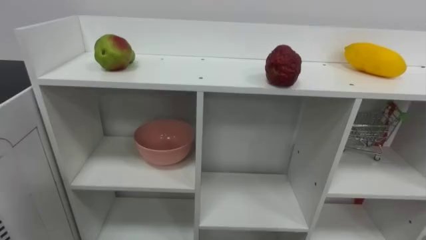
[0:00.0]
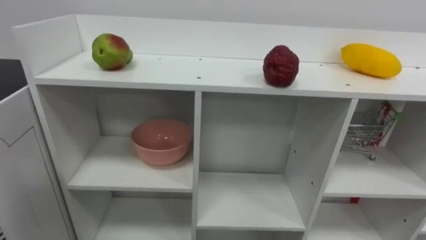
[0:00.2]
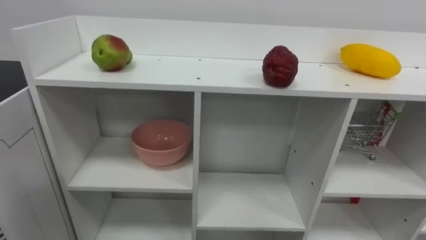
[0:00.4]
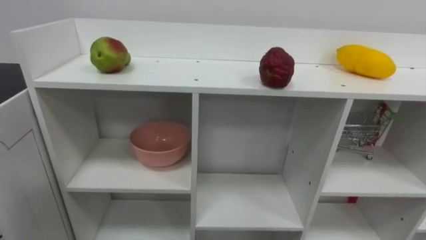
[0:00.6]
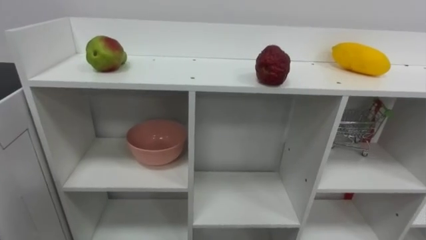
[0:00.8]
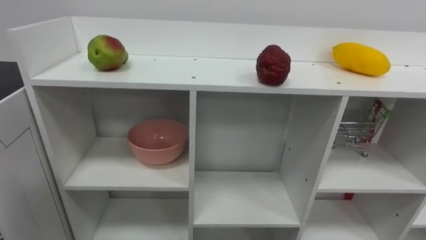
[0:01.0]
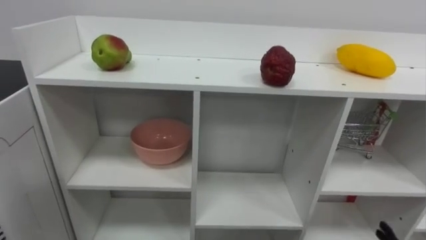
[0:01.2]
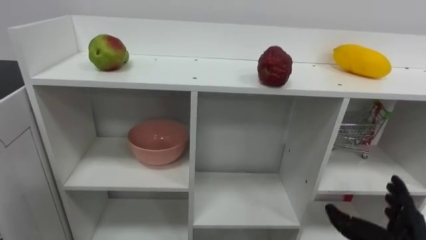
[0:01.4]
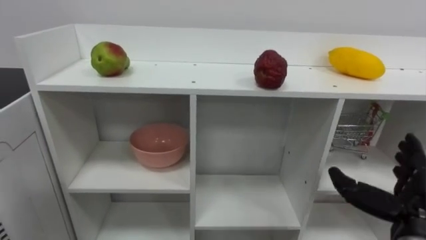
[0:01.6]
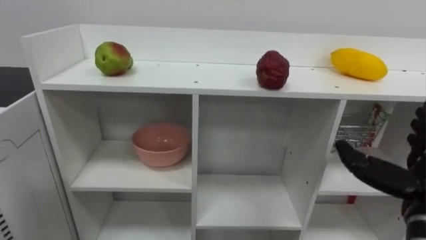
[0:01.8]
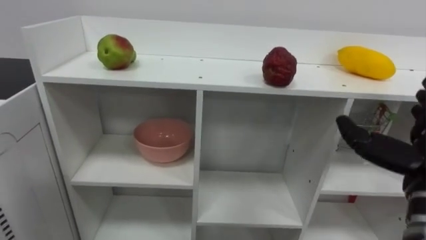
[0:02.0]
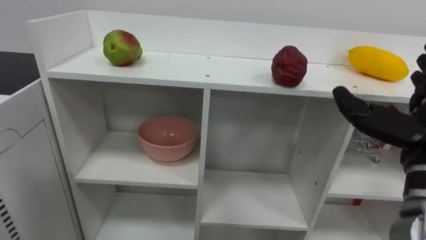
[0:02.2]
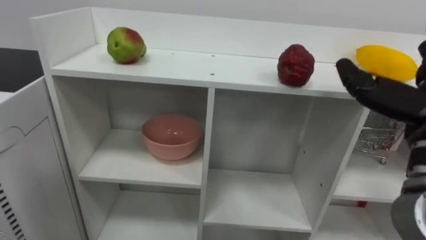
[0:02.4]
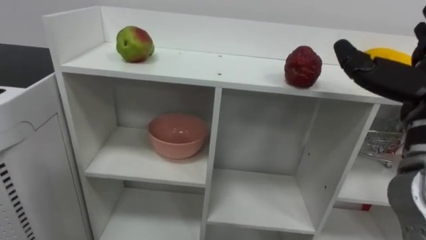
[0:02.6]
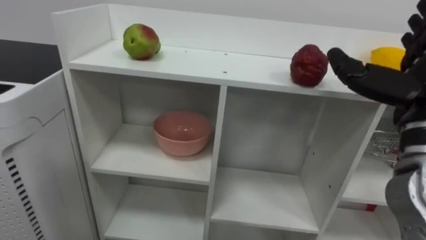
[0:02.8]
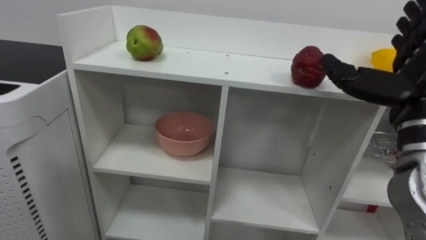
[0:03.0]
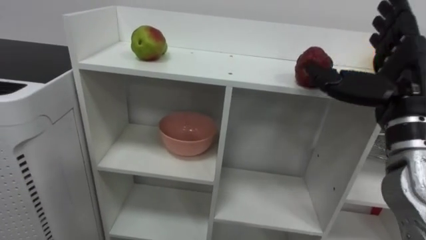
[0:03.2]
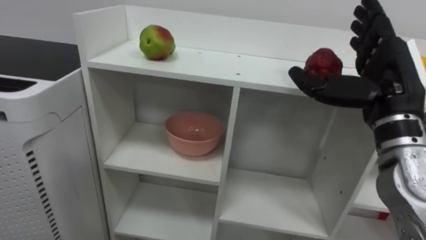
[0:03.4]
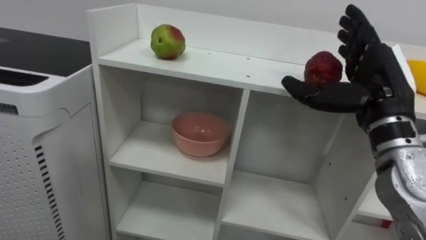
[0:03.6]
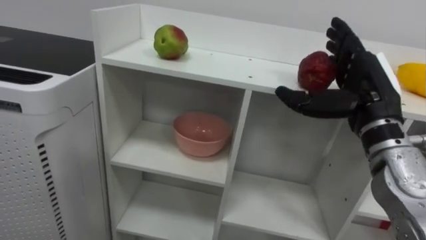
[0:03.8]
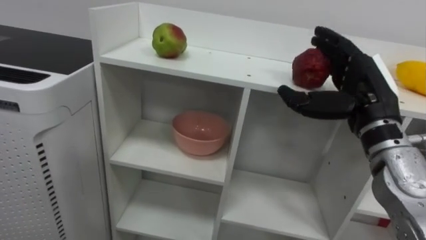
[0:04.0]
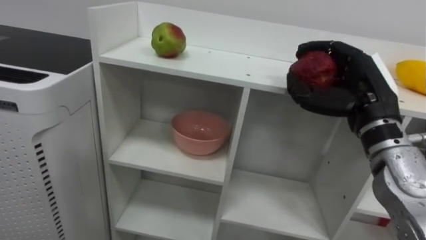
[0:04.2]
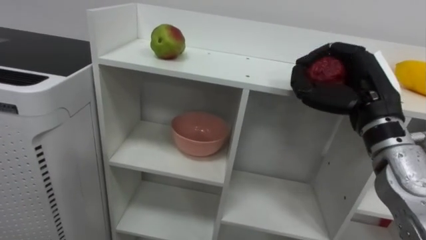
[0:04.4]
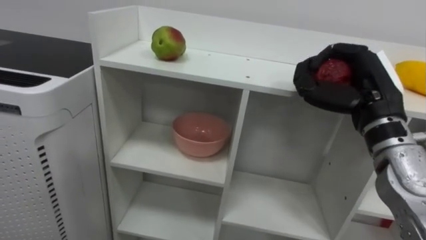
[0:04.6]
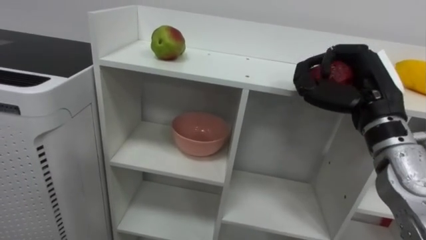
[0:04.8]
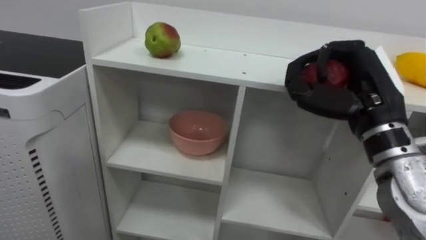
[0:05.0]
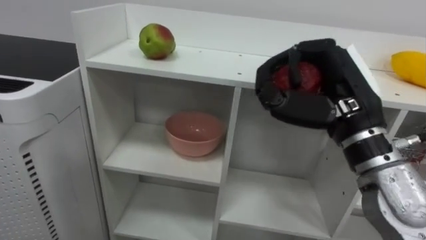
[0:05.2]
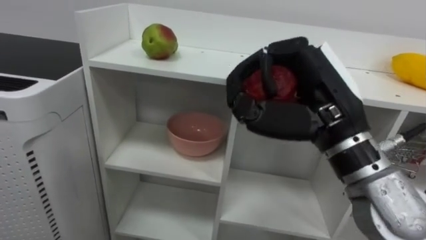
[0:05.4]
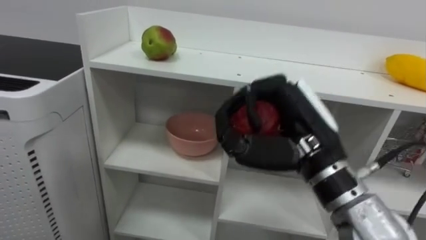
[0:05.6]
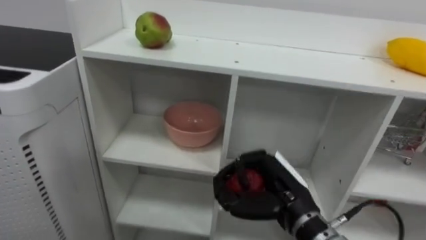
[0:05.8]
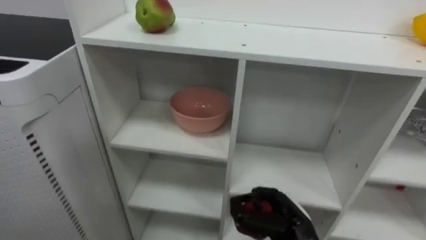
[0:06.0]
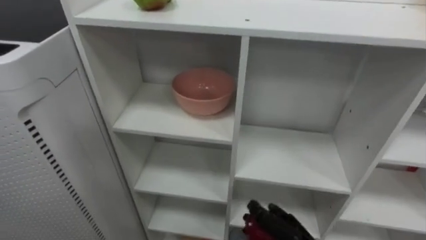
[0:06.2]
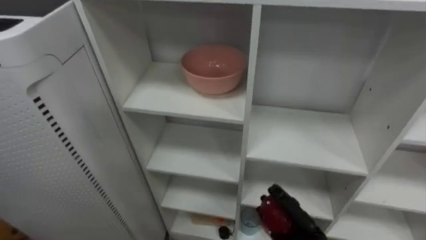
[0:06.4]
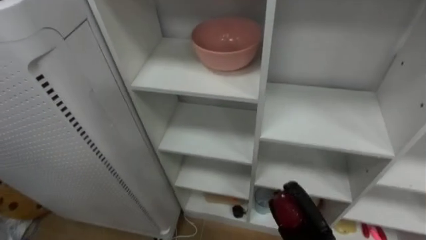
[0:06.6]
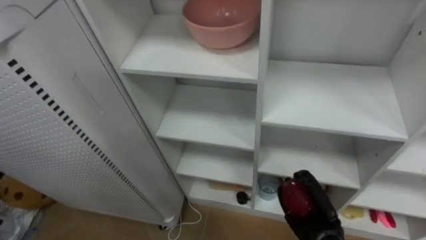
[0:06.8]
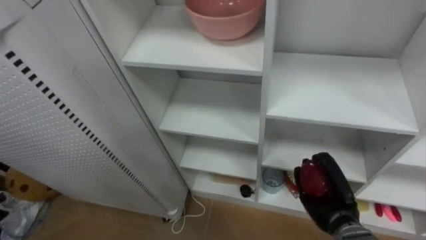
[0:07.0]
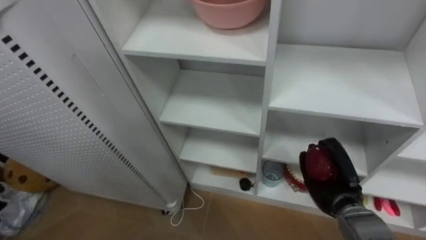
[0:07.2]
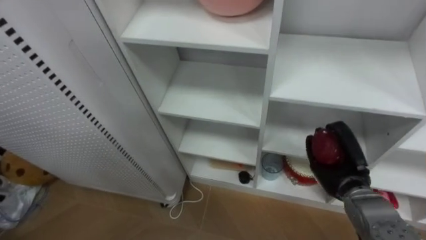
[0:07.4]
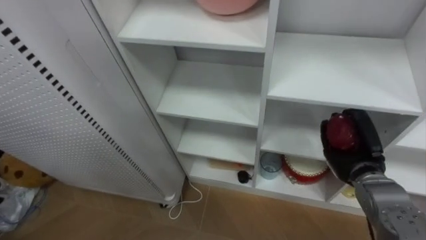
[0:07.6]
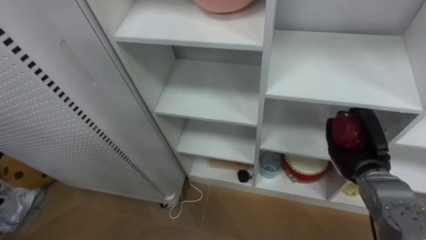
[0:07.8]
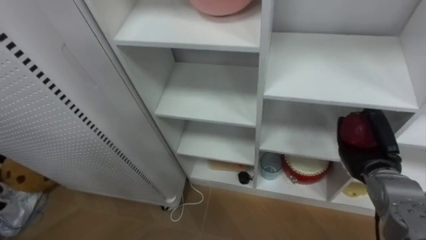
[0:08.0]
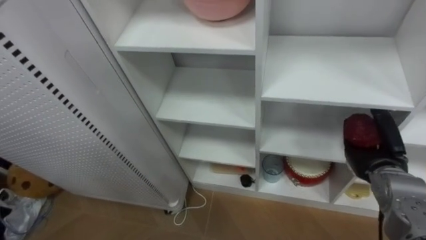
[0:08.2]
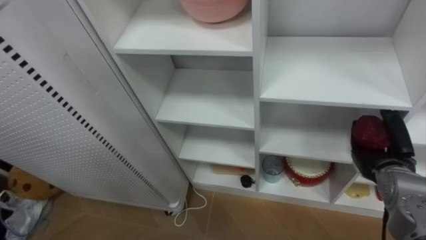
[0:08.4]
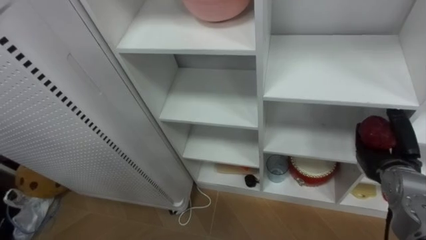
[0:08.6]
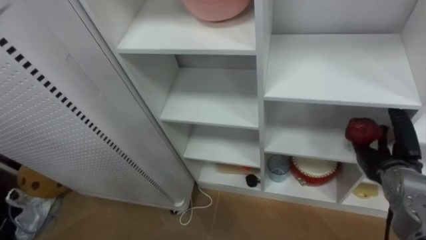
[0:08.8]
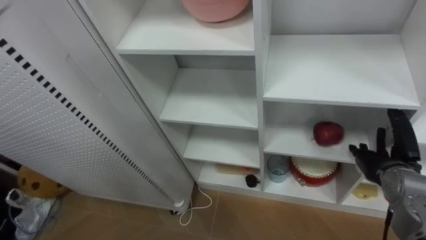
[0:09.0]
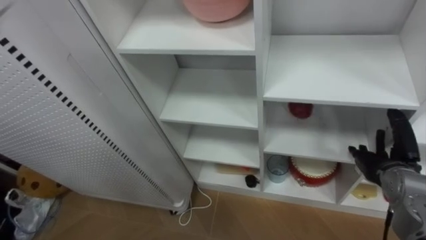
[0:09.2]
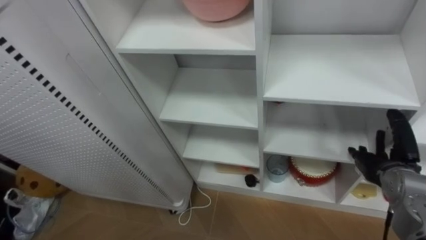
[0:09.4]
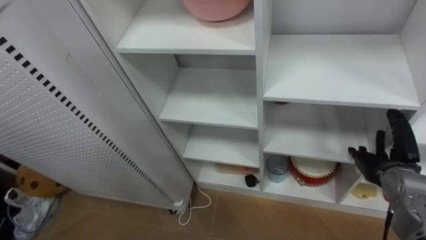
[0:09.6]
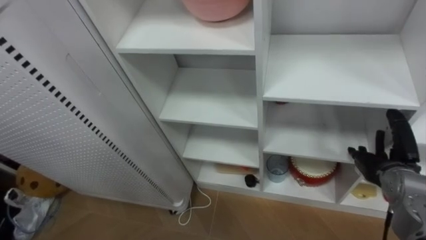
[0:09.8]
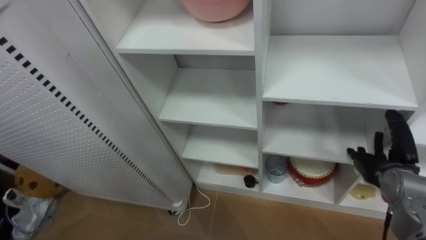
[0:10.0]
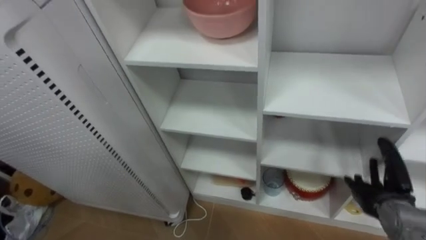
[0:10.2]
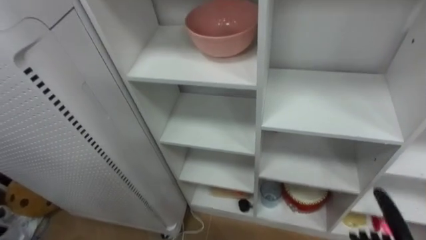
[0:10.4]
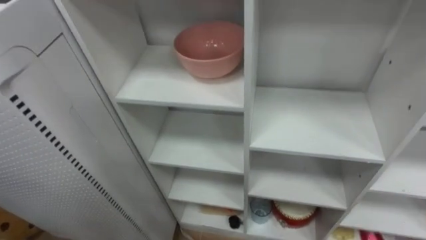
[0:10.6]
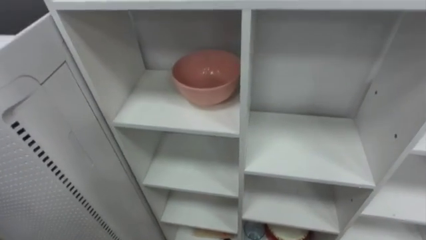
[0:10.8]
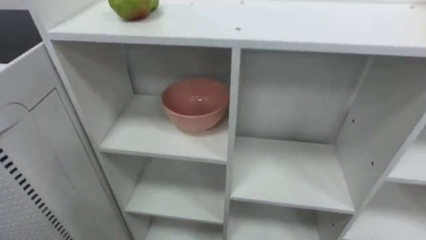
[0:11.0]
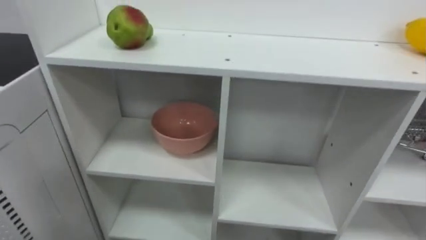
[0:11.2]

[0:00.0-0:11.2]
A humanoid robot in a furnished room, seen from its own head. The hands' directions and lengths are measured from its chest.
Task of the whole recording: Put the apple in the cell in the second column from the left and the second row from the top.
0:03.2 to 0:04.8: The right hand closes its fingers.
0:06.4 to 0:08.0: The right hand moves to the right, upward and forward, approximately 20 cm.
0:08.0 to 0:09.6: The right hand opens its fingers.

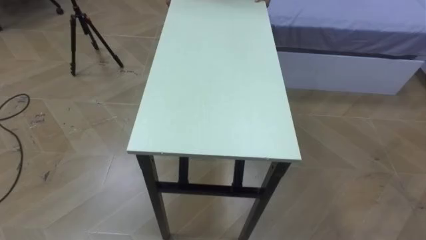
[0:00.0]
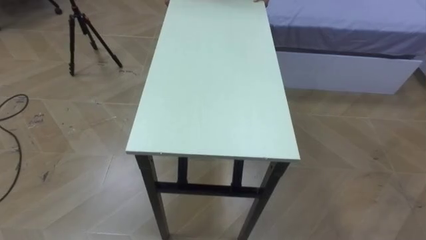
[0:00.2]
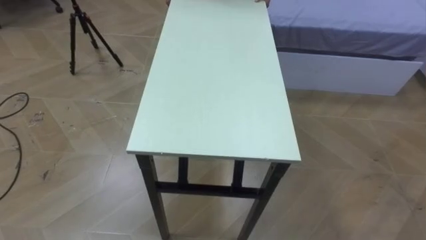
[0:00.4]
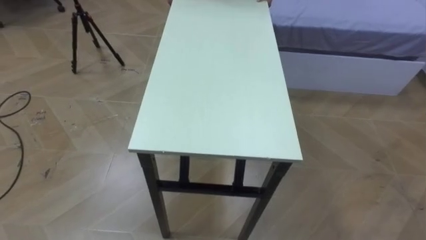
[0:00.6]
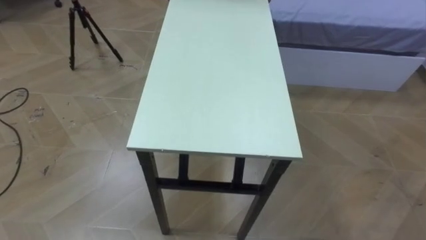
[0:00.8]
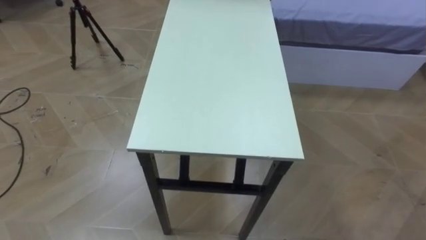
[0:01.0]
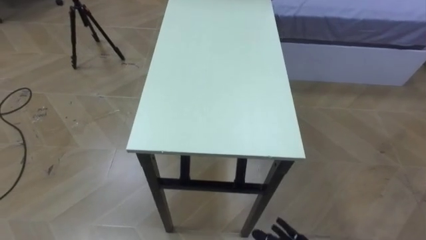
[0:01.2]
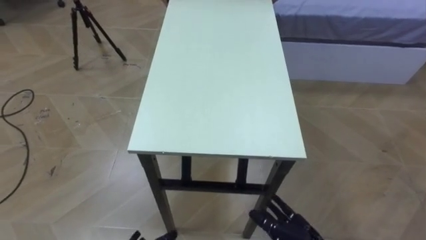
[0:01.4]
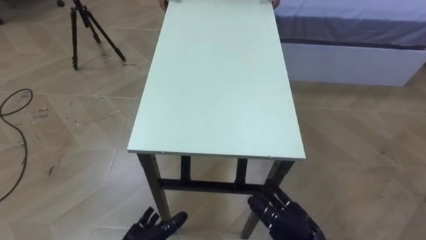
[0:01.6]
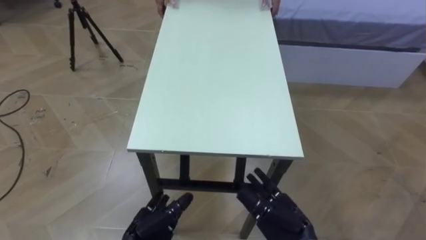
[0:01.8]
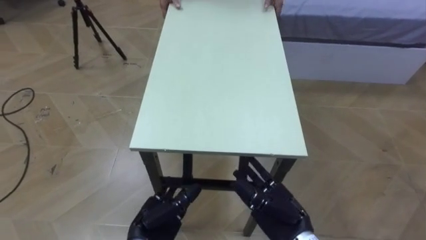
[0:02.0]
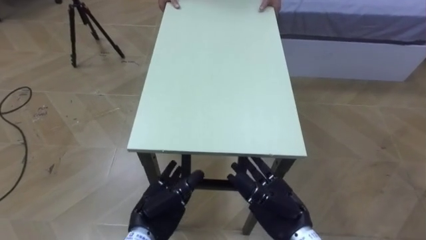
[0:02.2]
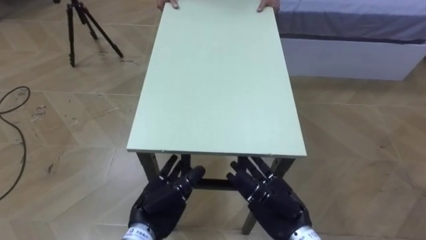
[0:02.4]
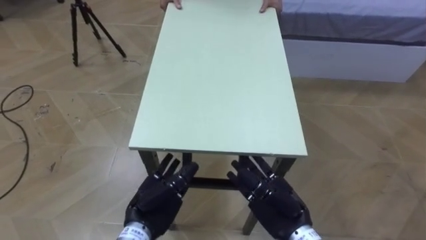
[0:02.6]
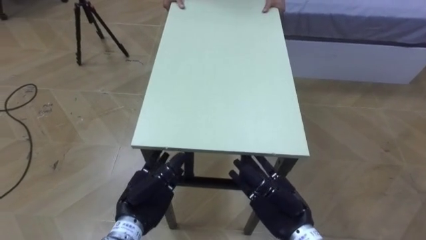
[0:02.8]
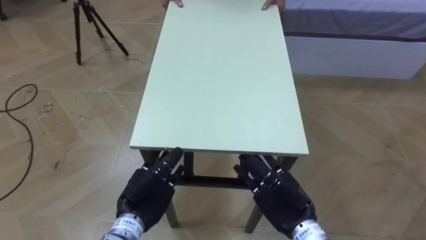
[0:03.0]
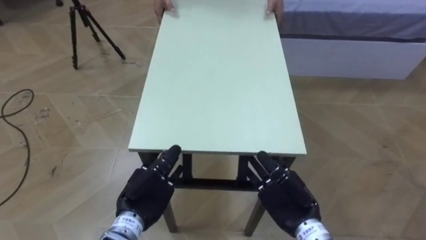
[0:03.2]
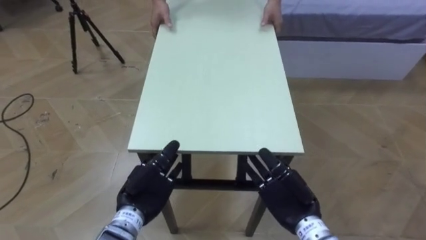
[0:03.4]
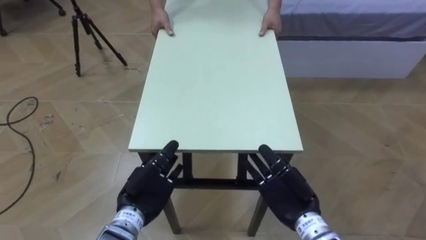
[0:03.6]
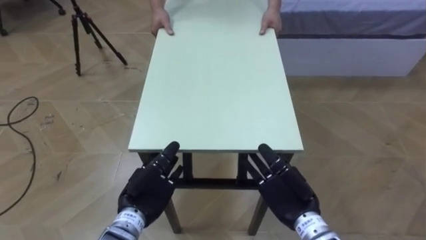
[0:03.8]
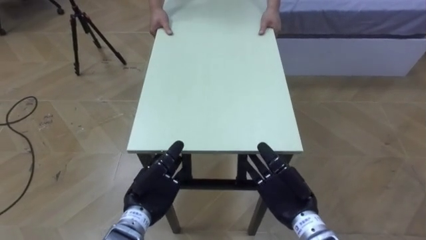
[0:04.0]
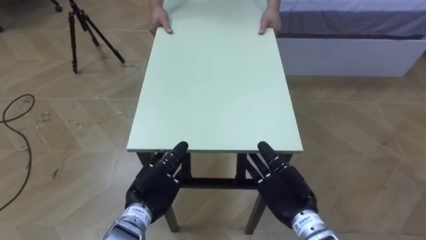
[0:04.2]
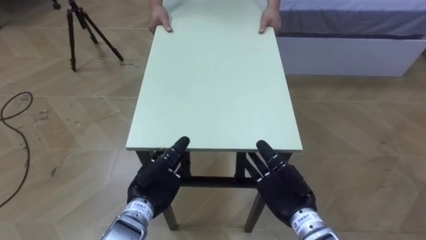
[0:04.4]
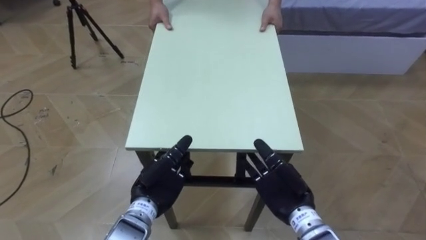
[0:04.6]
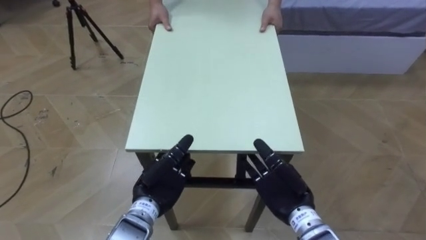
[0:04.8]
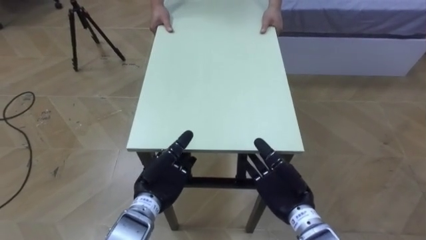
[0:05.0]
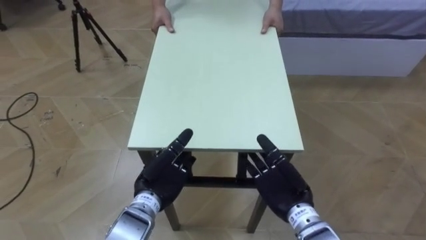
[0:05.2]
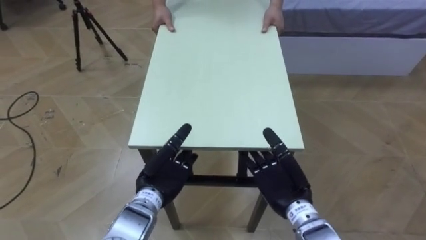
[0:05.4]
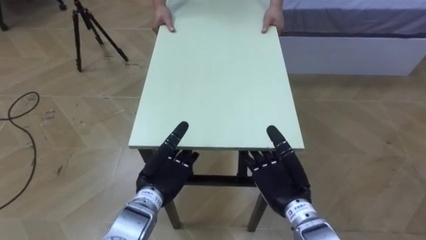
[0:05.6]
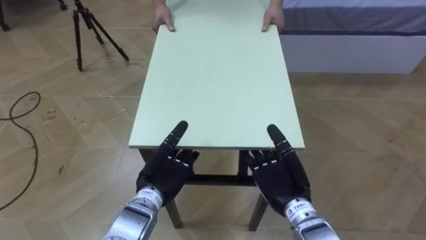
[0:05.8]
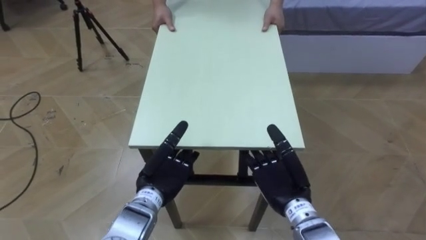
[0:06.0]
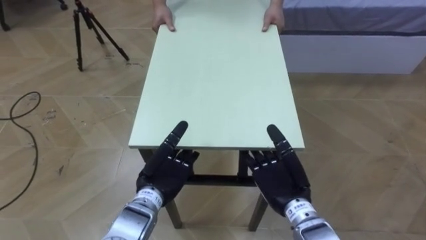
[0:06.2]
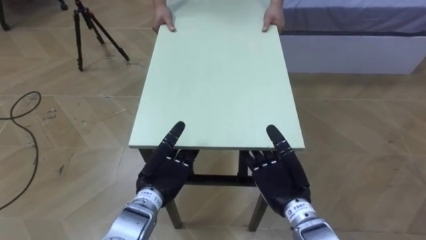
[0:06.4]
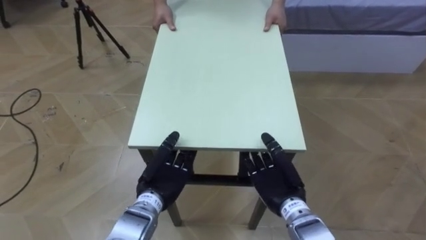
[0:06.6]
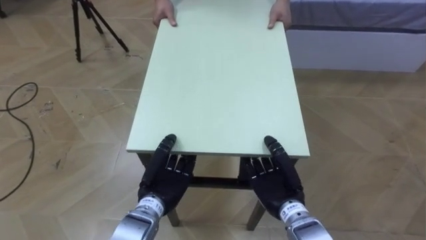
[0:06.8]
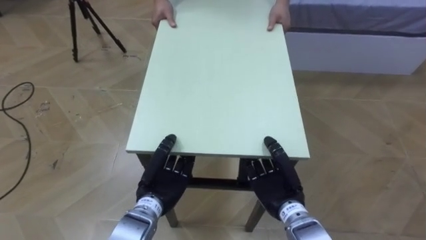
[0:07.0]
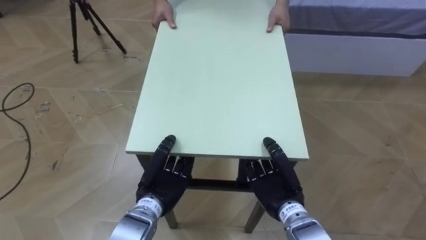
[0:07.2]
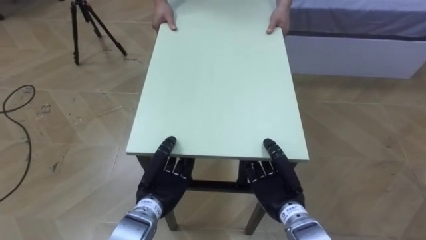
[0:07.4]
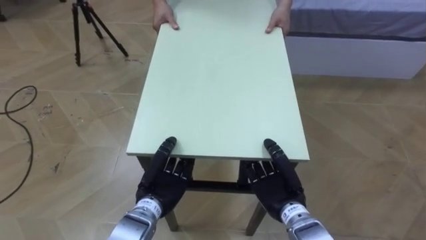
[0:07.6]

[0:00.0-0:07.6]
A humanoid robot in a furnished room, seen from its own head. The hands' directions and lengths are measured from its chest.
Task of the whole recording: Move the table to the back left with someone.
0:01.6 to 0:03.0: The right hand travels upward by approximately 5 cm.
0:03.0 to 0:04.6: The hands make only small movements.
0:04.6 to 0:06.0: There are only small adjustments of the hands.
0:06.0 to 0:07.6: The left hand closes its fingers. Meanwhile the right hand closes up.
